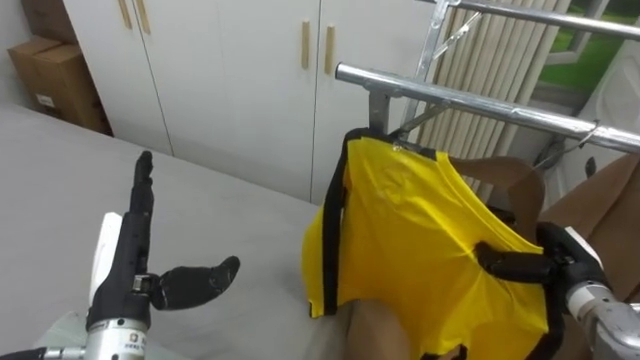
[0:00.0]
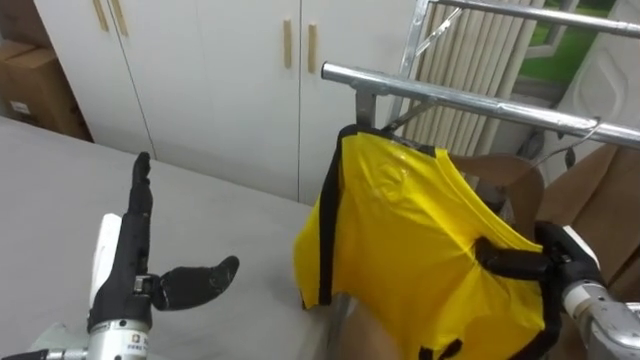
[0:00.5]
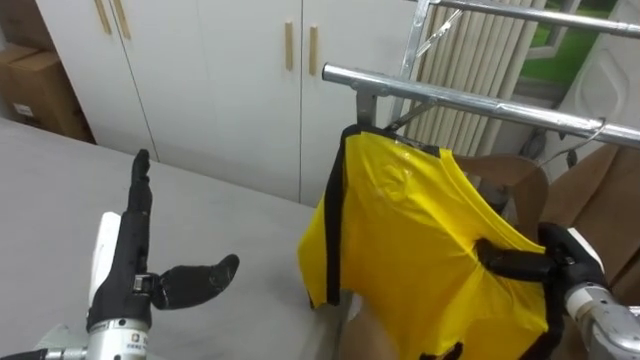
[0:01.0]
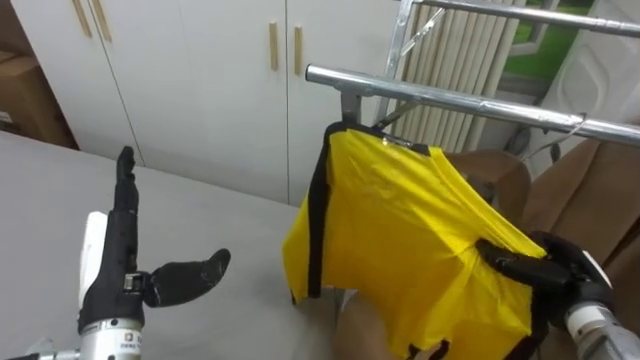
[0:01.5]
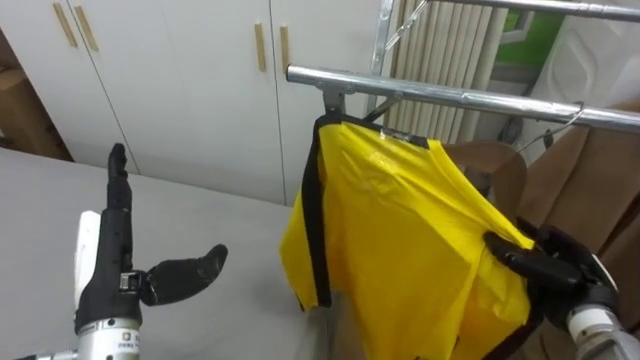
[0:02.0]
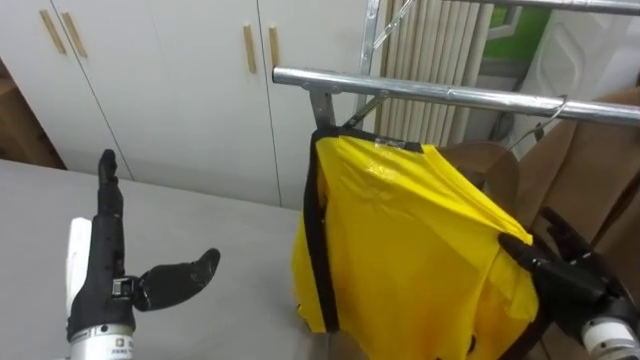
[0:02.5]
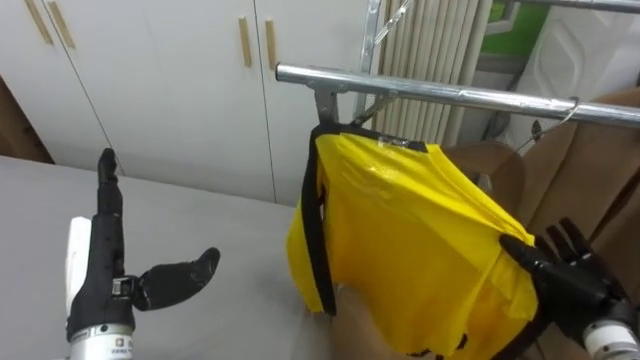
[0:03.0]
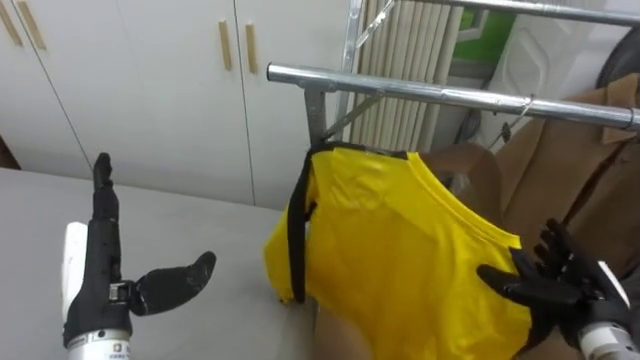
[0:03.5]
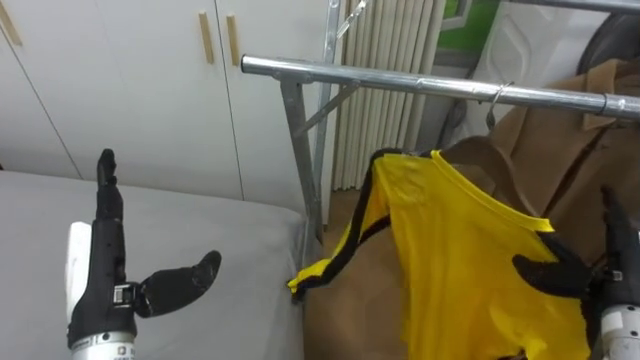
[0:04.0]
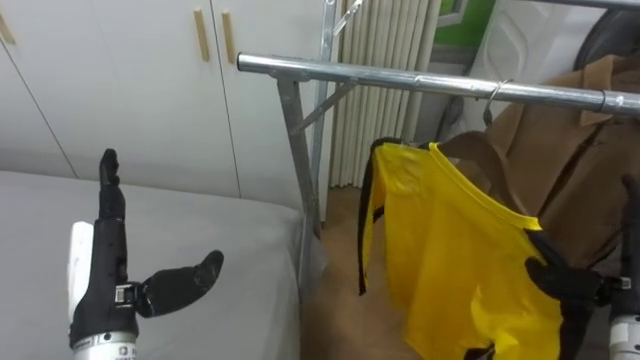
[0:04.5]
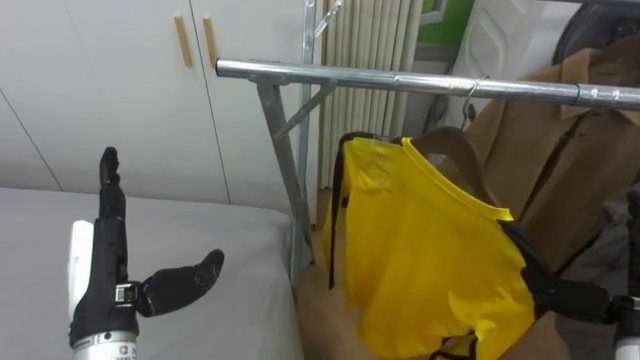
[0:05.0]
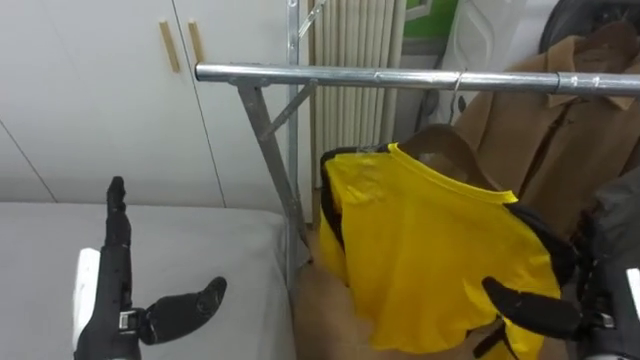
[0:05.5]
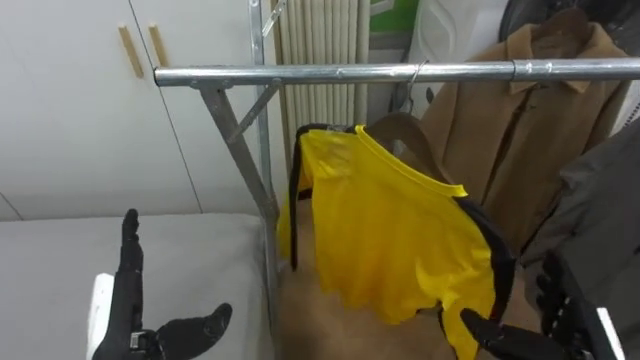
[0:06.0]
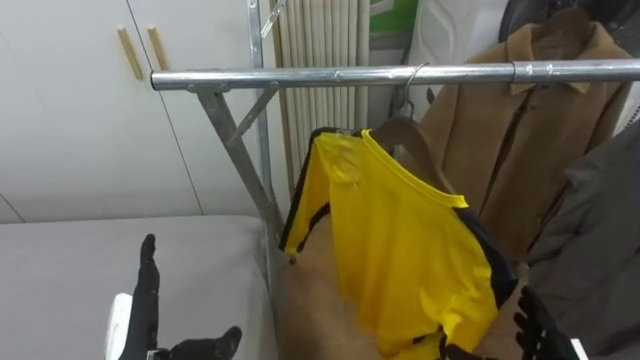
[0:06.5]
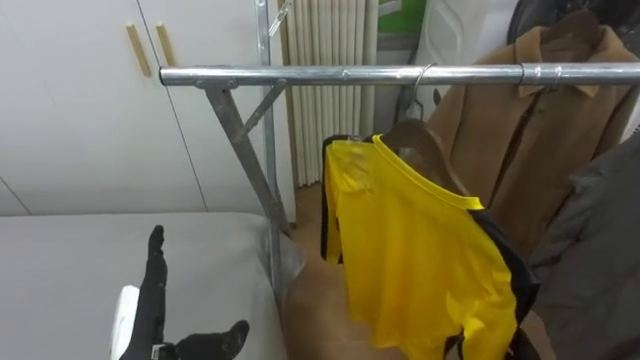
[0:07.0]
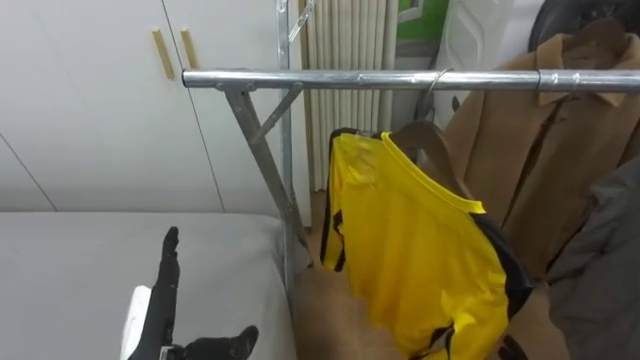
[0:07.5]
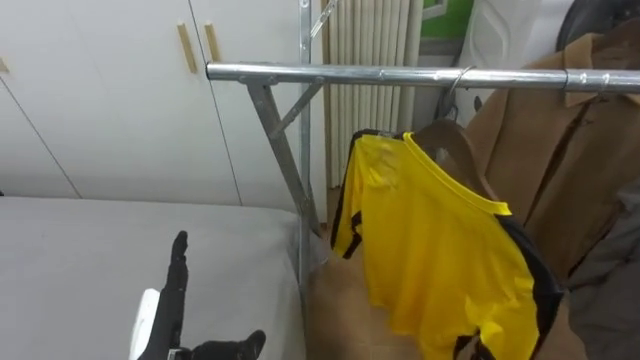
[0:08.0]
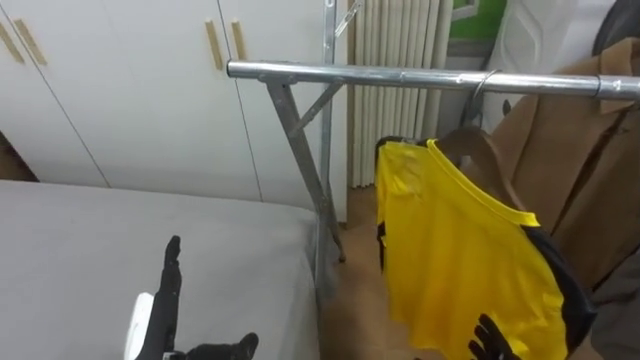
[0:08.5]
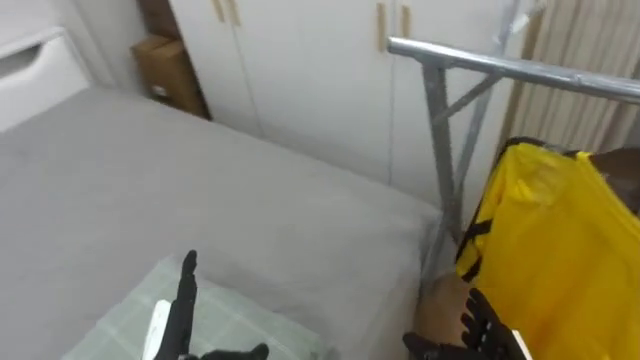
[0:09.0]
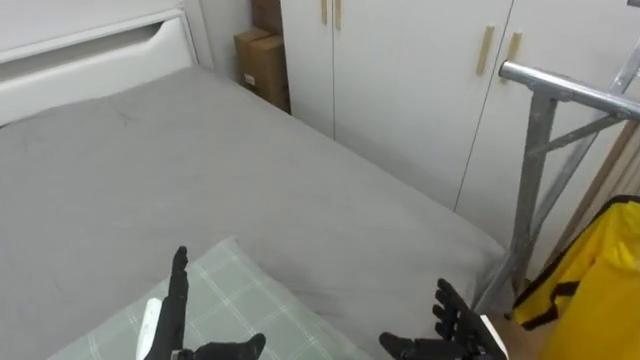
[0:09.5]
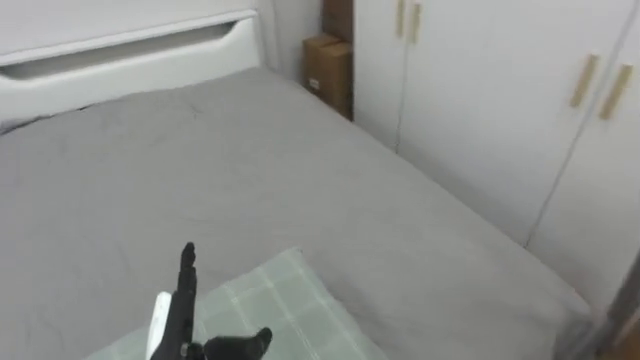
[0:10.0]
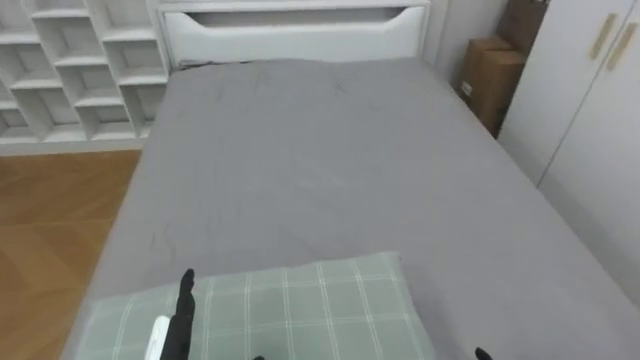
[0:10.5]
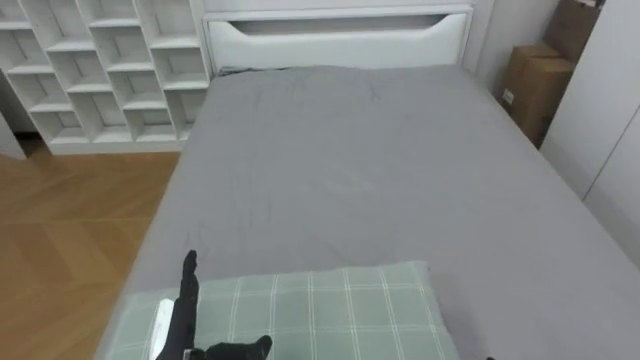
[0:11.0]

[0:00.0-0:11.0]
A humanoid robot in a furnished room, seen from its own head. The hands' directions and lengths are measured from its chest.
Task of the whole recording: Pick up the yellow shirt on the bed and hang it on the clothes rack on the right.
0:02.0 to 0:03.5: The right hand opens its fingers.
0:03.5 to 0:05.5: The right hand goes about 5 cm backward.
0:05.5 to 0:07.5: The left hand goes approximately 5 cm downward.
0:07.5 to 0:09.0: The robot faces about 30 degrees further to its left.
0:09.0 to 0:11.0: The robot faces about 60 degrees further to its left.

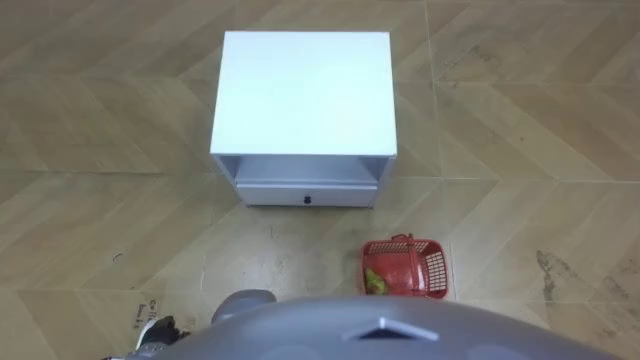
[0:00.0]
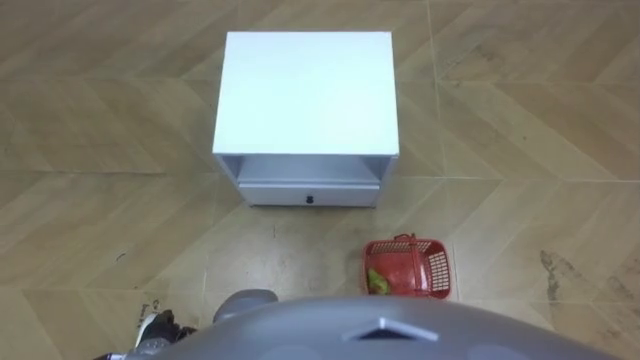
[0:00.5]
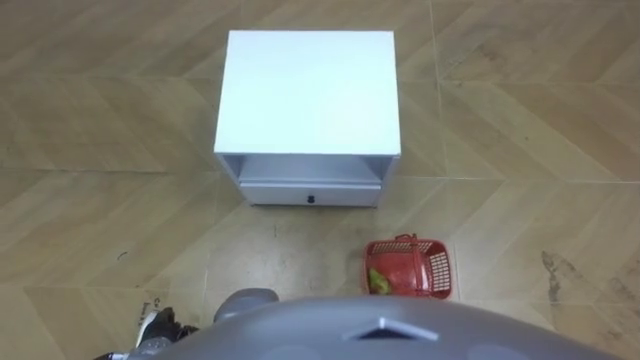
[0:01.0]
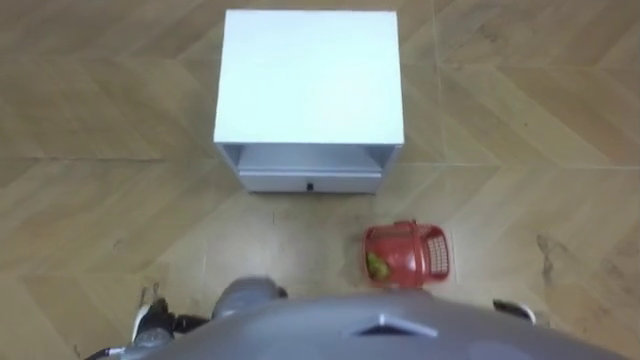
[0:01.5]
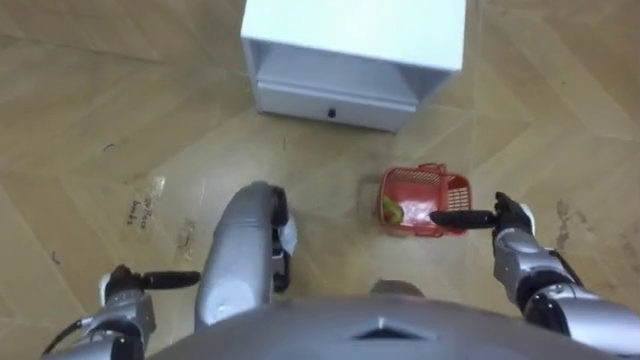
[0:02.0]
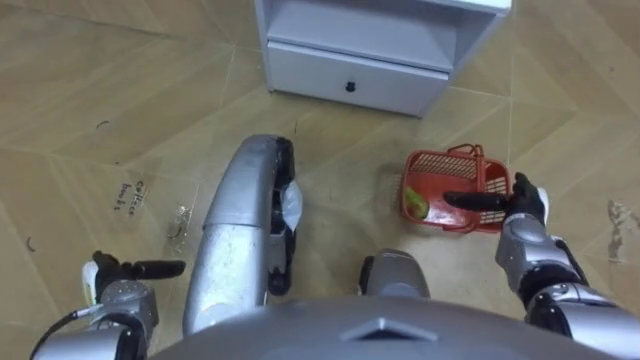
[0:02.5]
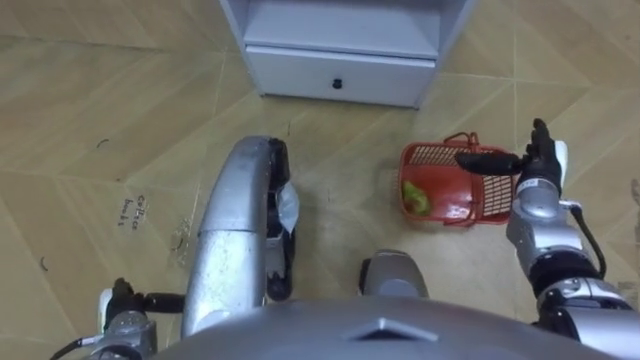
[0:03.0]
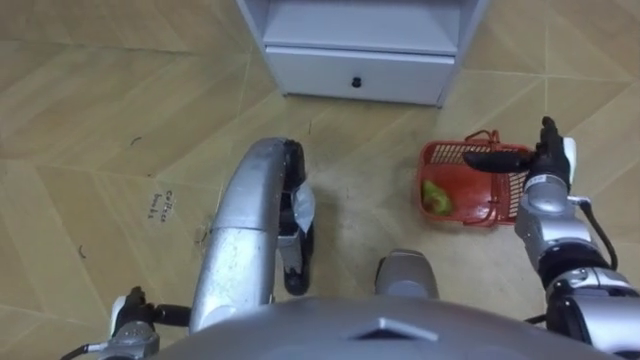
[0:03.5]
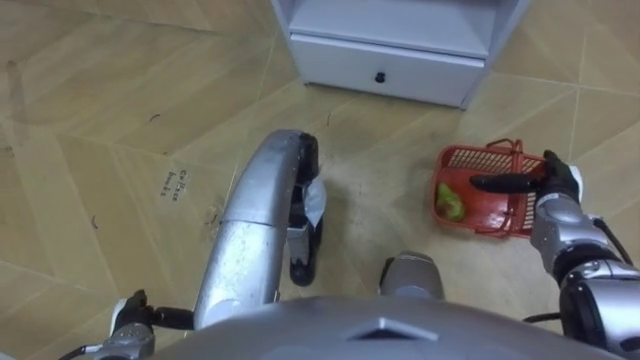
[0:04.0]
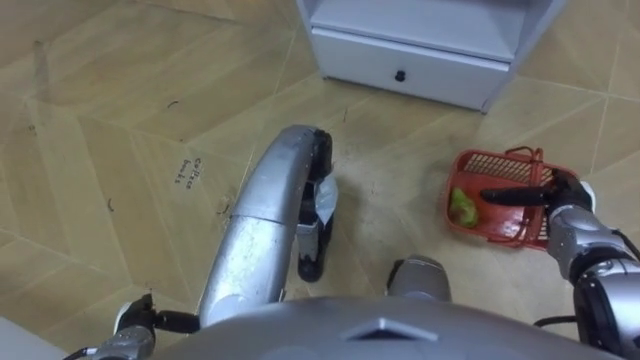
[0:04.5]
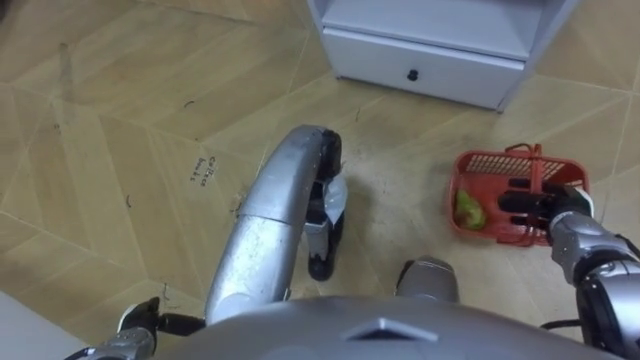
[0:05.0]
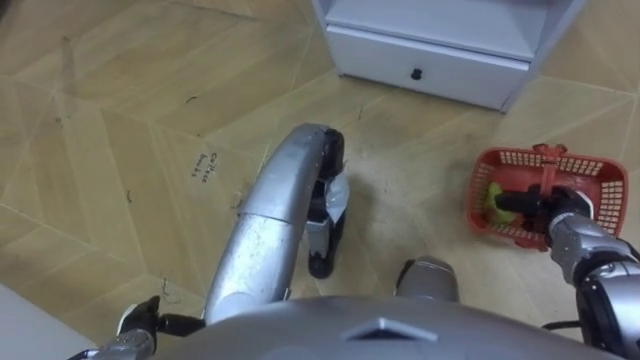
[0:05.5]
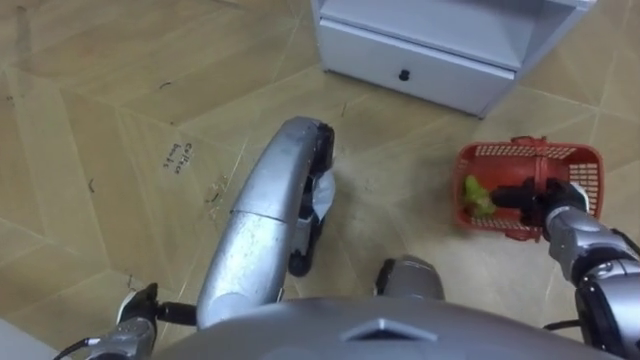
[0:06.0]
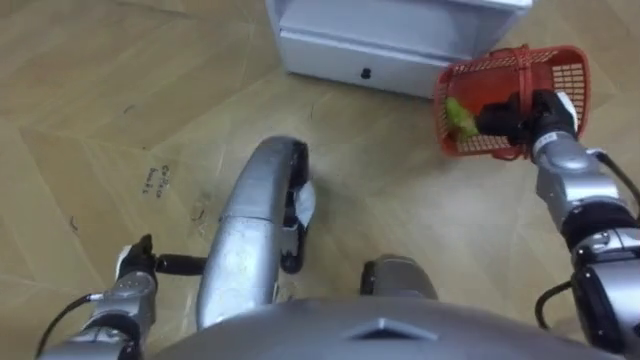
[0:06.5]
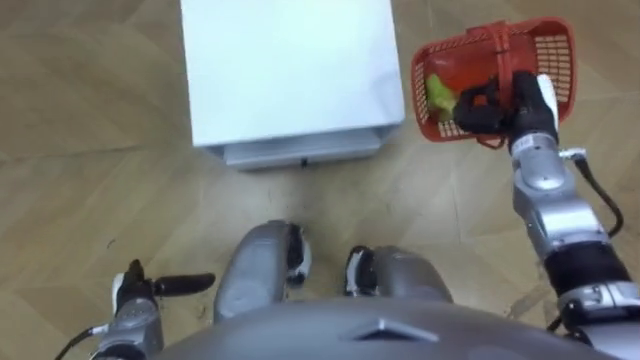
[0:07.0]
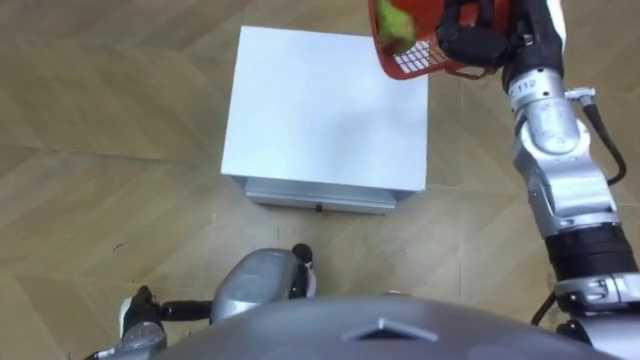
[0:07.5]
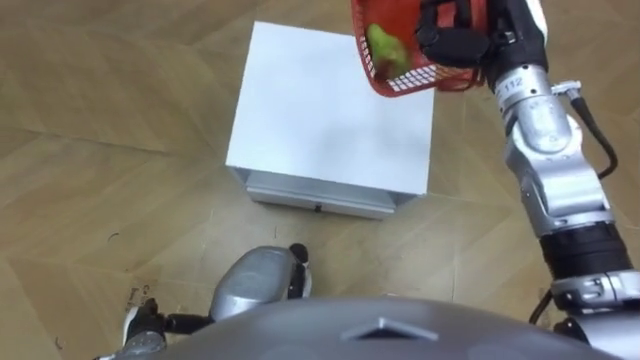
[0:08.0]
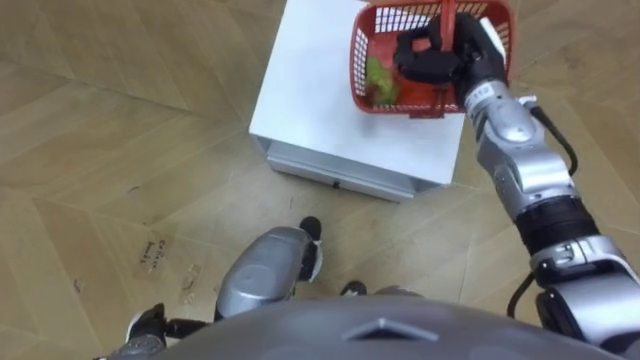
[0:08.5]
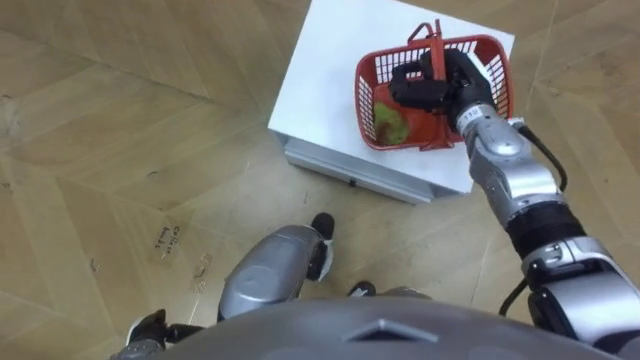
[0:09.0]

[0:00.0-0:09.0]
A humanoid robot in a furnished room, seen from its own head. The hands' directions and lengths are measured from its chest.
Task of the whole recording: Pick up the fruit basket from the floor and place it on the cabinet.
0:02.0 to 0:04.5: The left hand shifts by about 5 cm; the right hand goes approximately 5 cm to the right.
0:04.5 to 0:07.0: The robot rotates approximately 20 degrees to its right. The right hand shifts about 15 cm upward, forward and to the left, and closes up.
0:07.0 to 0:09.0: The left hand goes about 5 cm backward; the right hand travels to the left by about 10 cm, and goes upward and returns, approximately 10 cm each way.
